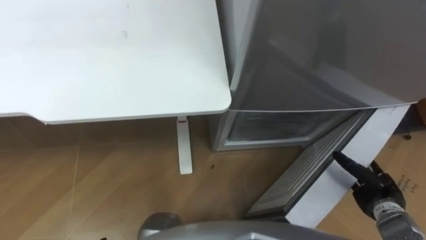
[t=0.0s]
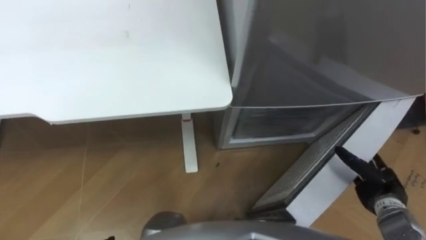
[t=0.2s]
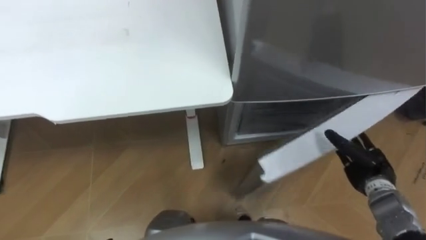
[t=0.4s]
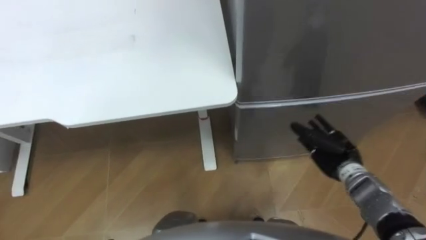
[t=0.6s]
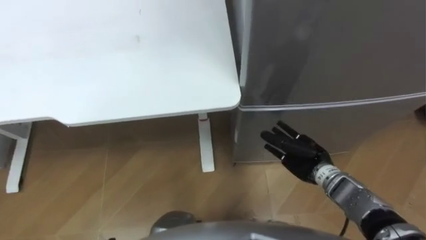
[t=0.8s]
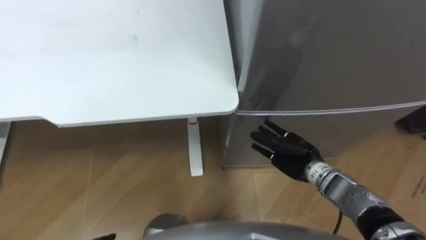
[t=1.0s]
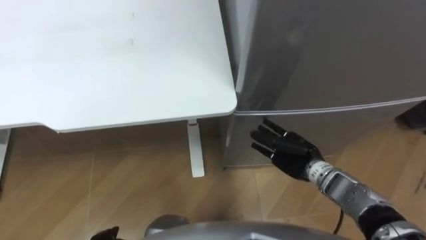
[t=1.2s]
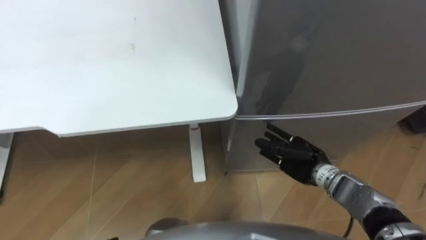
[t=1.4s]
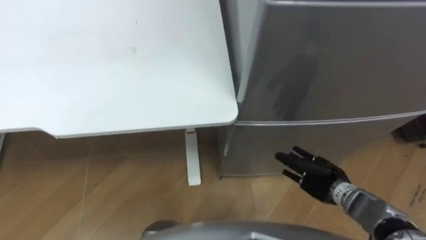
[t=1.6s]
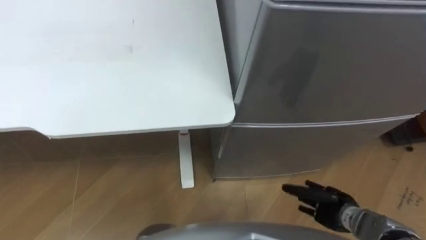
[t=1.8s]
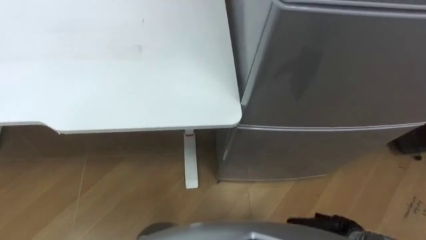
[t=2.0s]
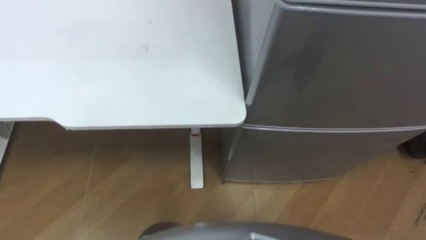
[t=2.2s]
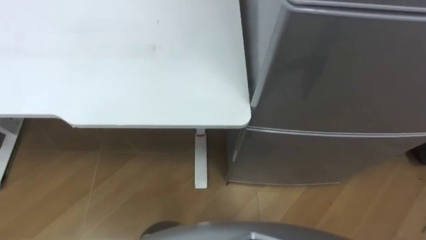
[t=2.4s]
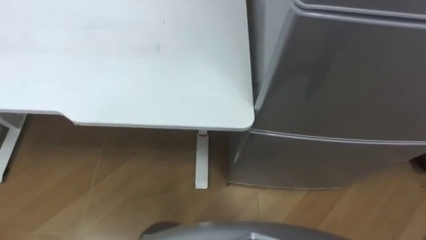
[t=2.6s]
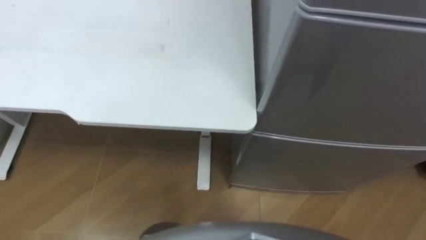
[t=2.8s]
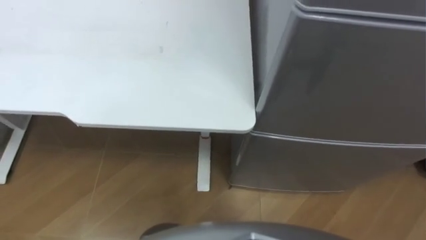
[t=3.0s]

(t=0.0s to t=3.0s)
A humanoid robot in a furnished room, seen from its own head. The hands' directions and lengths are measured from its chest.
Task of the whole recording: Place the drink on the table on the bottom shelf of the refrigerator, then close the drawer and the refrigerator door.
t=0.0s - t=1.6s: The right hand travels to the left and forward by about 10 cm.

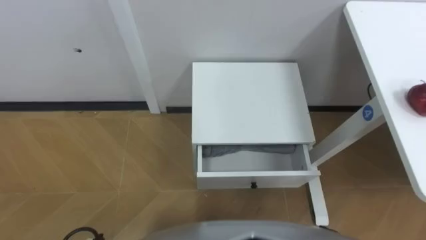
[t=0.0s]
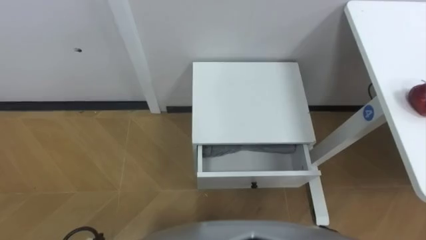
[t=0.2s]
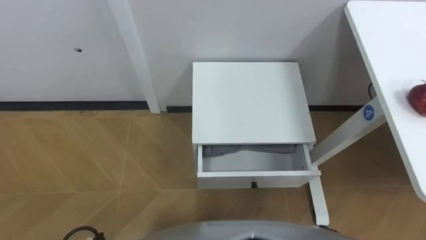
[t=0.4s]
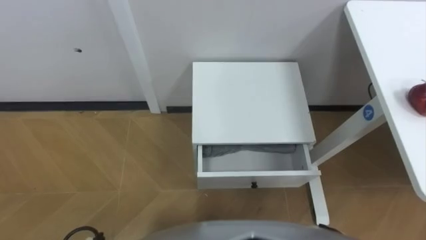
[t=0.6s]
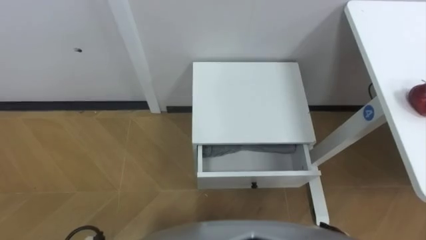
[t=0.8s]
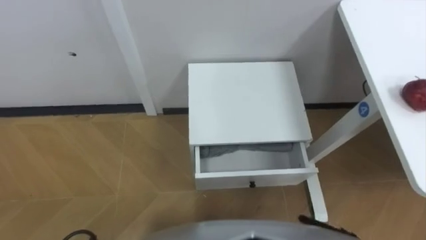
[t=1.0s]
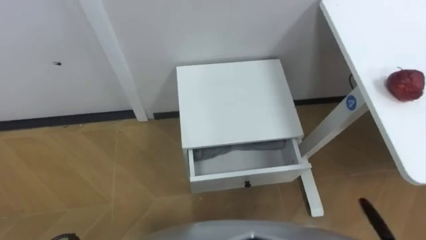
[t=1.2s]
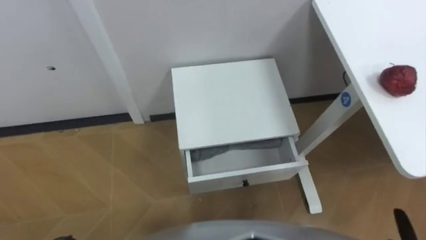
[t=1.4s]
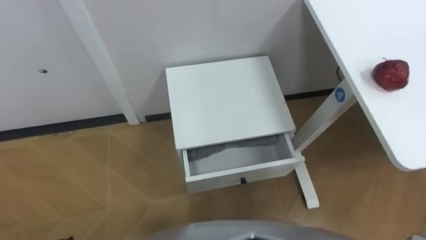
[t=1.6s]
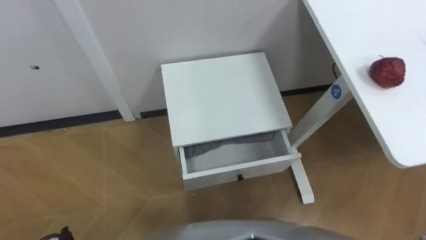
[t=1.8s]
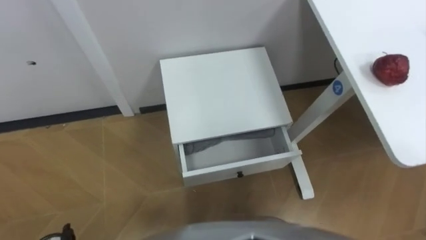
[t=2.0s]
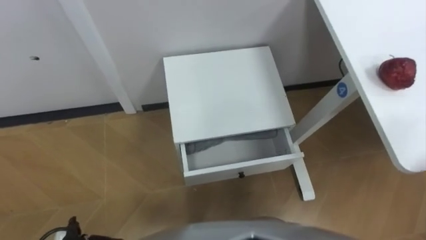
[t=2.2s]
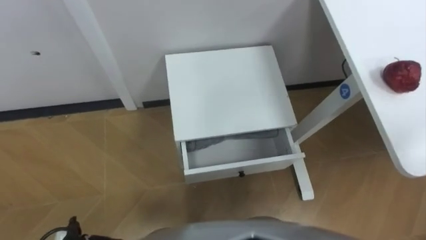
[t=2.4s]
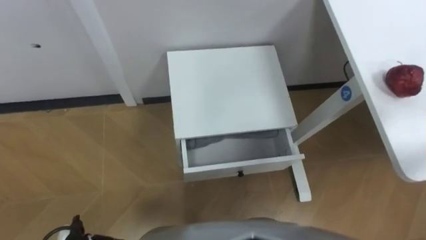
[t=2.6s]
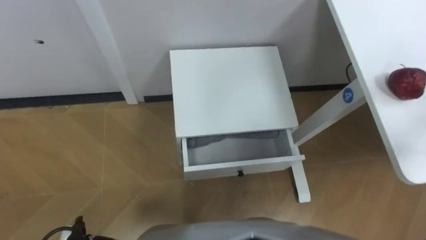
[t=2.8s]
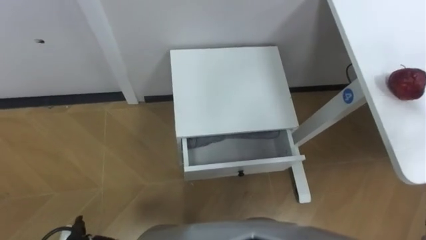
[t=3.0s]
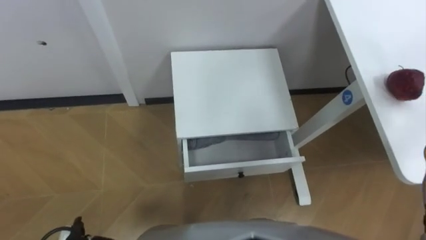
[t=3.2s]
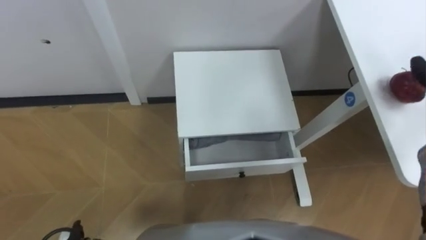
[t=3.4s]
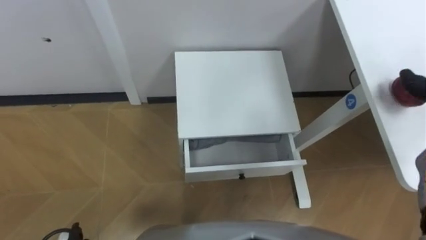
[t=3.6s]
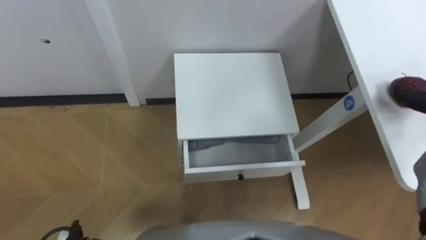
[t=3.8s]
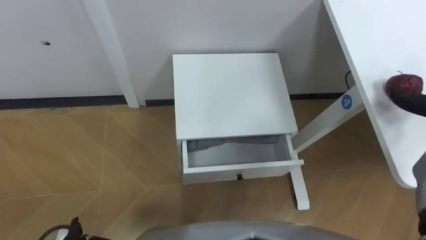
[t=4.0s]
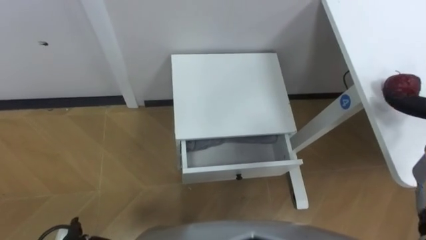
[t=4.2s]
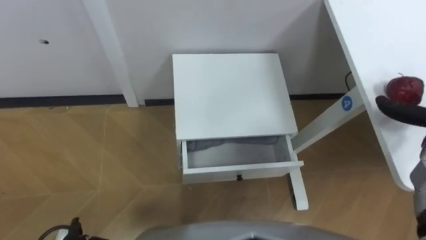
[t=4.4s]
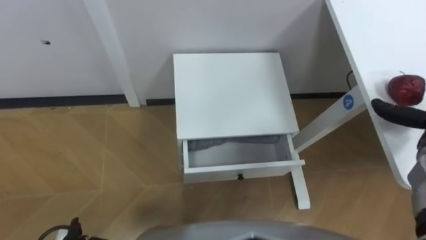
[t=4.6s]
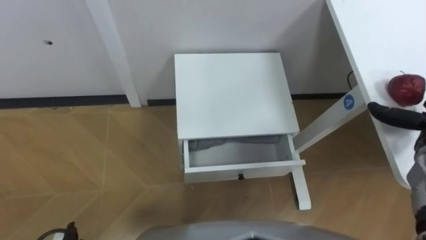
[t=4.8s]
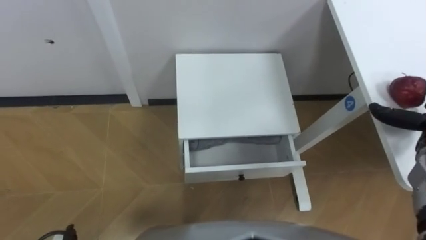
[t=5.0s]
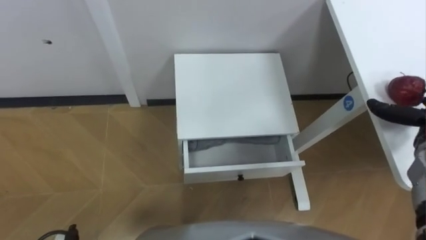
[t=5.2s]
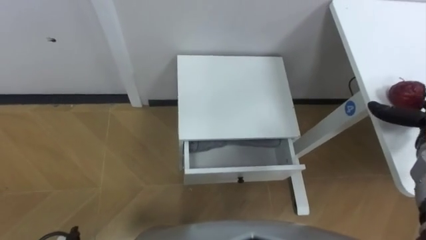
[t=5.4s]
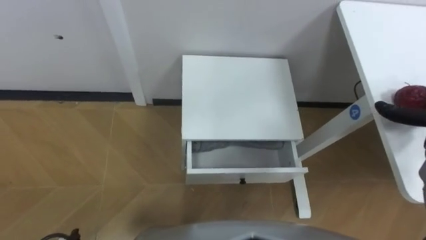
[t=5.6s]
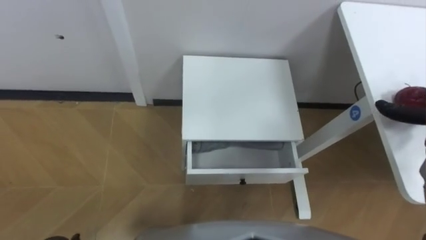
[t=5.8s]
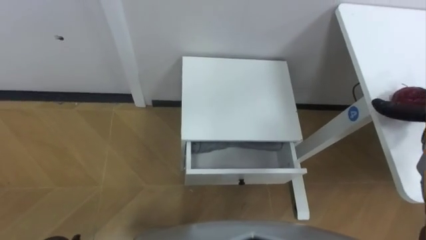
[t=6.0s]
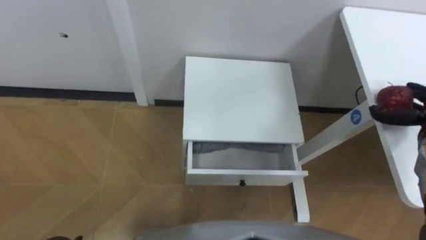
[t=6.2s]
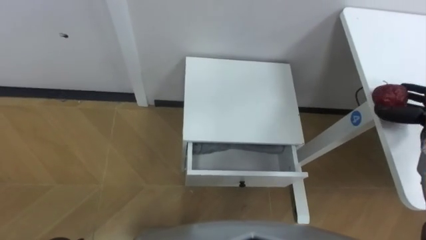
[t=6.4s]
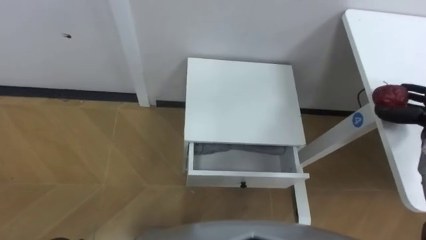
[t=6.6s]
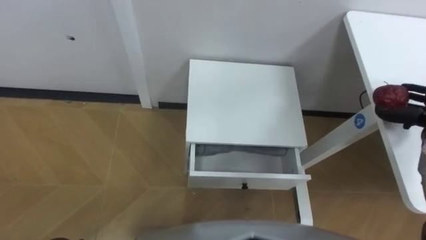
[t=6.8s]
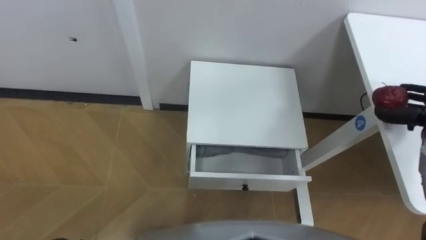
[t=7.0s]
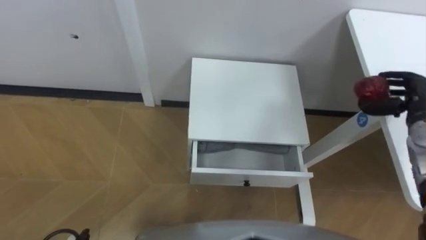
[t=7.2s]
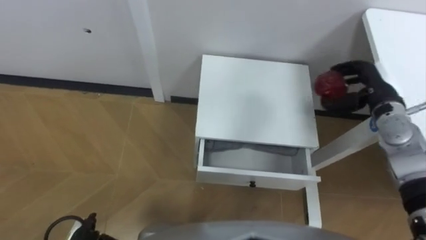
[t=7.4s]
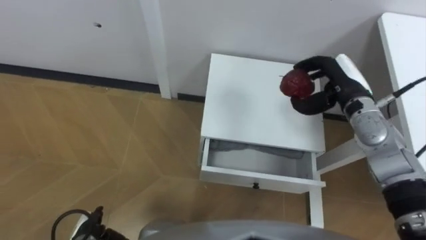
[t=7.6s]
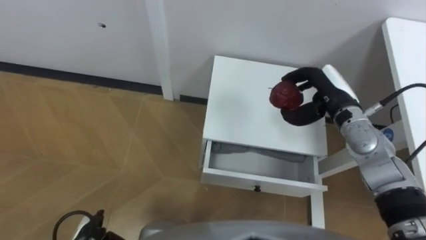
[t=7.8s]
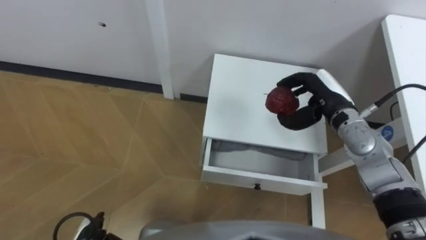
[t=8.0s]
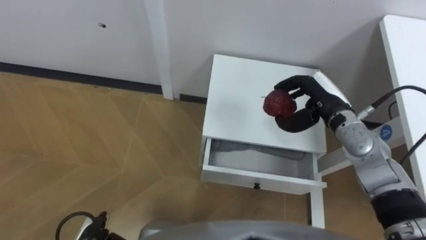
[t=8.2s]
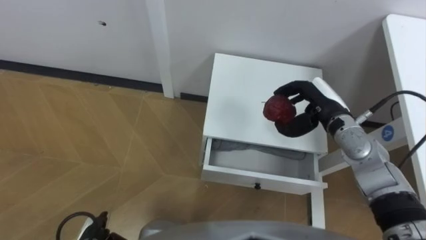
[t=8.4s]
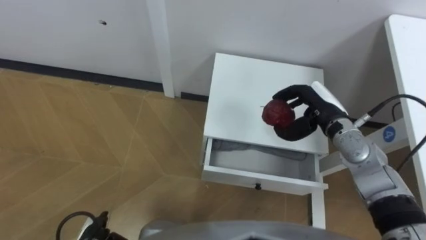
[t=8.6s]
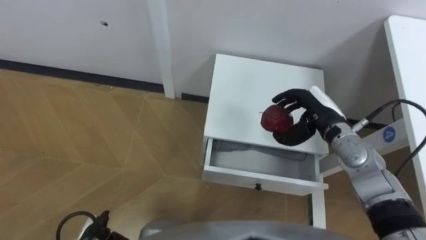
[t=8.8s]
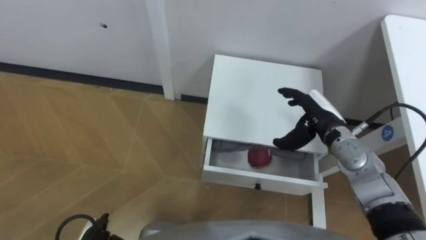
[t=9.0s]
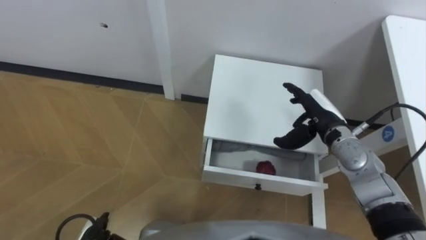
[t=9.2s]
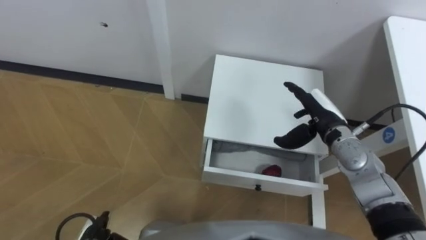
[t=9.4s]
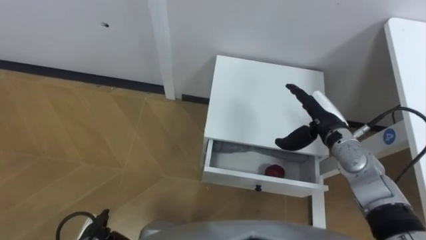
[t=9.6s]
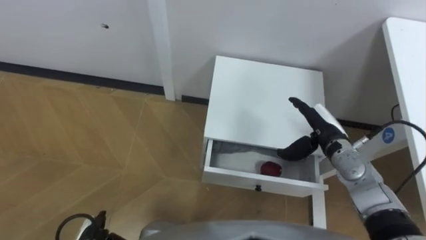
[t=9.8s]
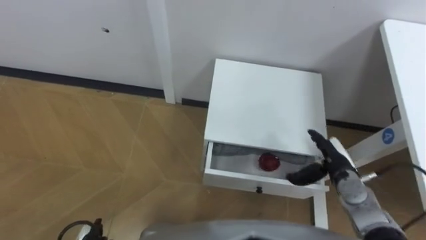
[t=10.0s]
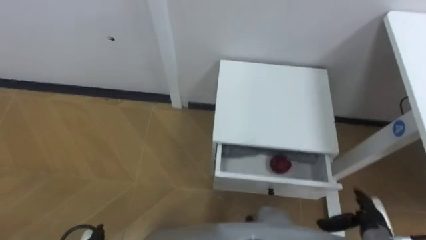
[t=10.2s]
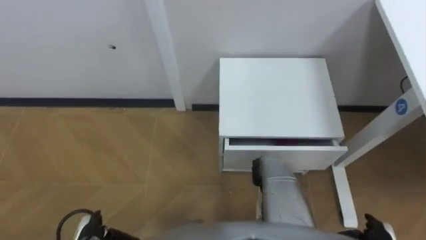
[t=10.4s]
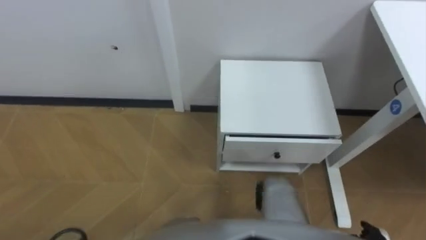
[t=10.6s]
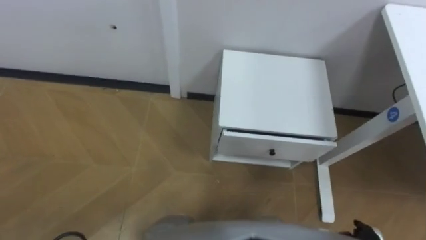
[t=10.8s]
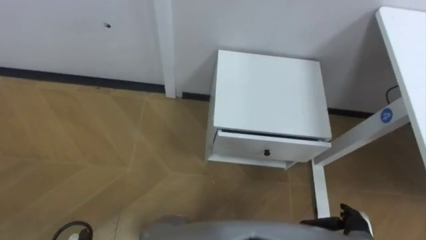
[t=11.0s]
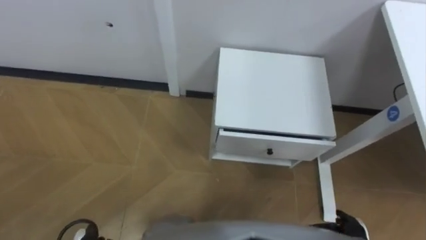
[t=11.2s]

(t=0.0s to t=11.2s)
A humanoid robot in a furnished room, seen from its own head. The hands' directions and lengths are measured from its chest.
Task of the whole recording: Pick up the apple from the table, put it in the drawer, and close the drawer with leg.
t=8.0s - t=9.6s: The right hand opens.

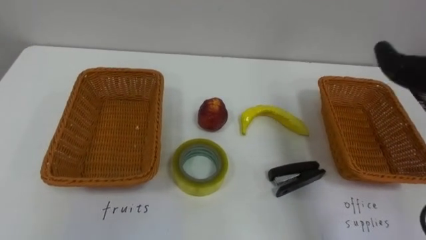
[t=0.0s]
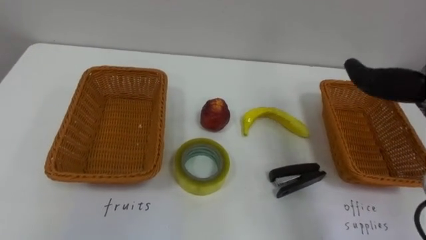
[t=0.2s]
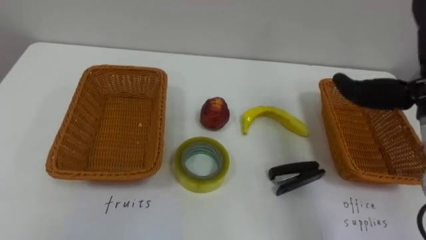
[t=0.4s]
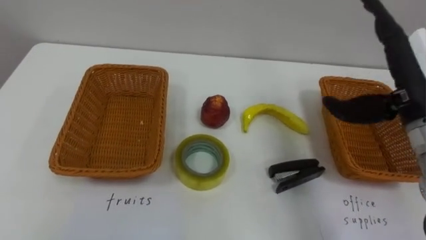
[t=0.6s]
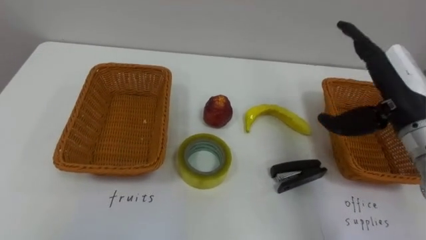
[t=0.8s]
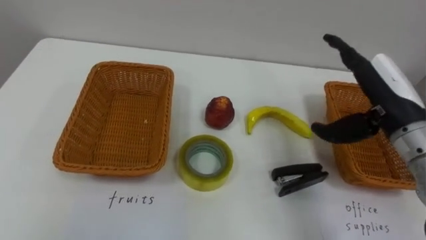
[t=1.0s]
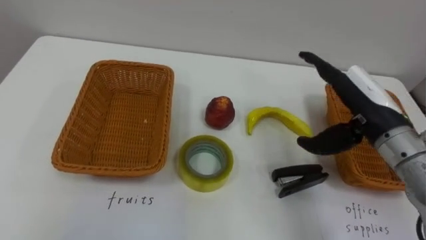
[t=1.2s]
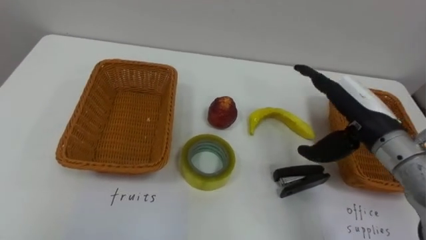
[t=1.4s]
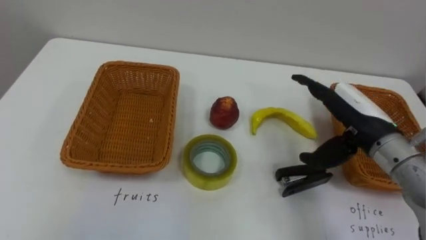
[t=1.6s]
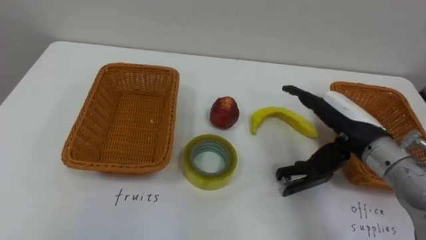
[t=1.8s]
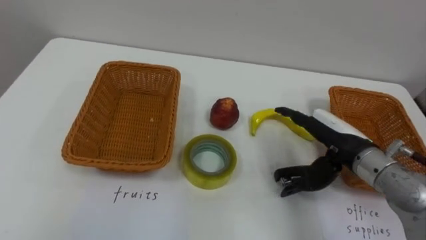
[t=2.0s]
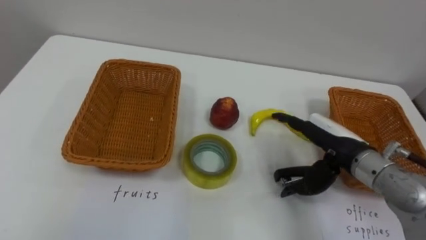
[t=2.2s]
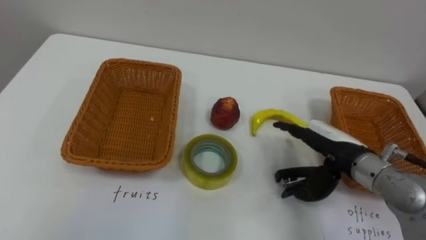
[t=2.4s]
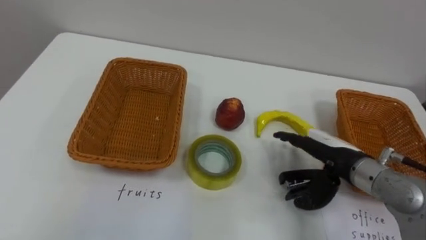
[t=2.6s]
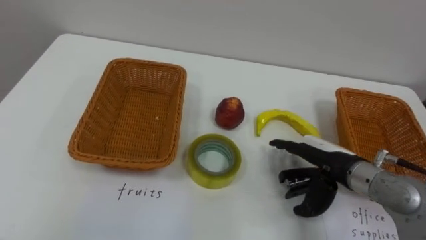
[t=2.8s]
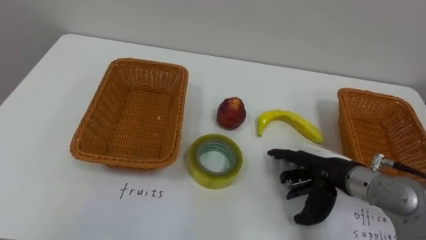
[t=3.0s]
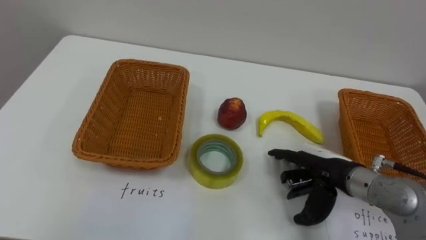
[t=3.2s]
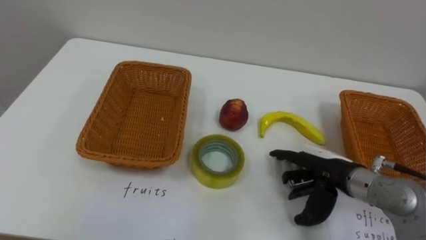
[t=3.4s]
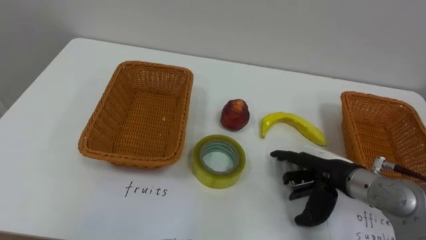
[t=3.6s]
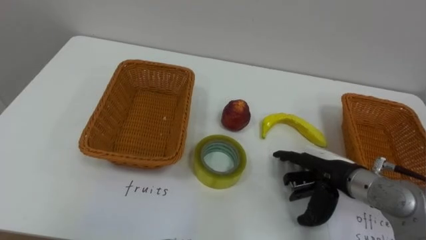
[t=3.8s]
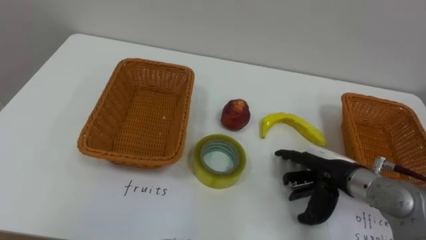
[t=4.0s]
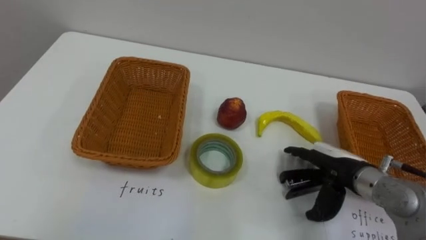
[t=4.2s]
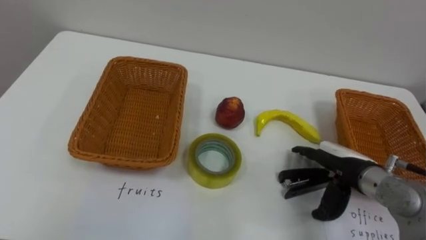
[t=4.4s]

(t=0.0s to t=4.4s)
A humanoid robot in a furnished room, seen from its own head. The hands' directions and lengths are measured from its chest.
Task of the whole recording: Separate the items on the table and place them into the two baskets.
t=1.4s - t=3.0s: The right hand travels downward by some 10 cm.
